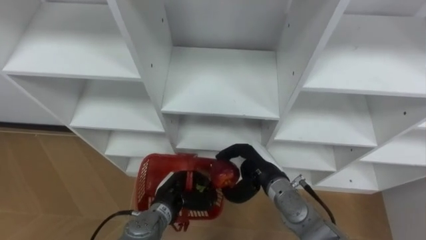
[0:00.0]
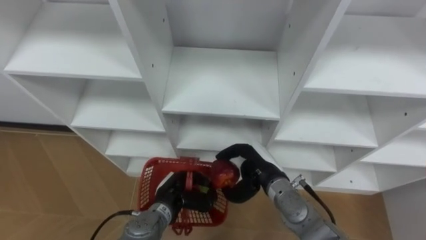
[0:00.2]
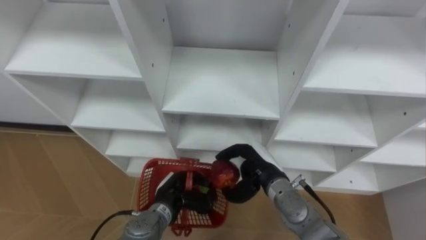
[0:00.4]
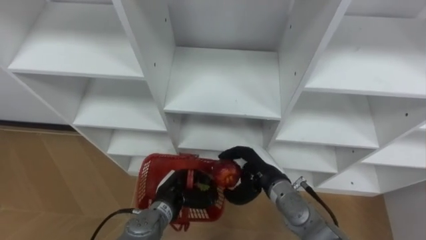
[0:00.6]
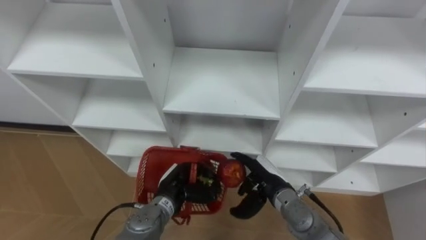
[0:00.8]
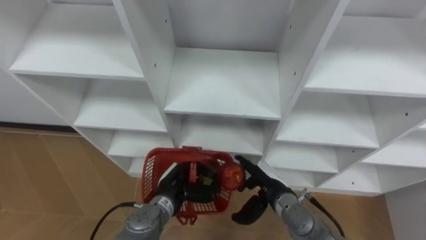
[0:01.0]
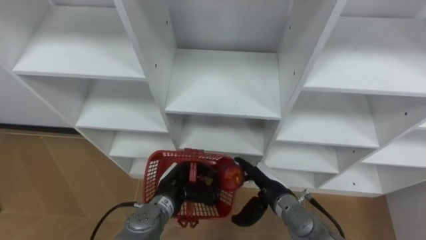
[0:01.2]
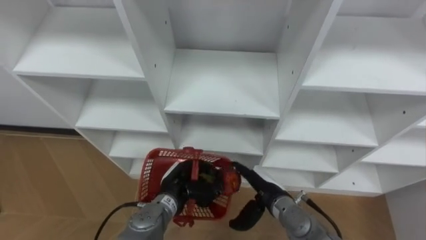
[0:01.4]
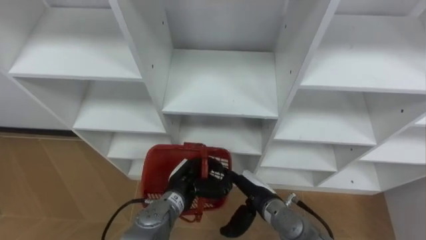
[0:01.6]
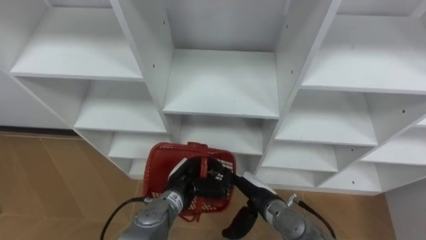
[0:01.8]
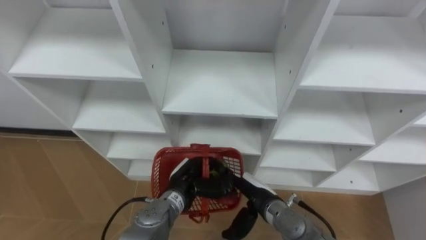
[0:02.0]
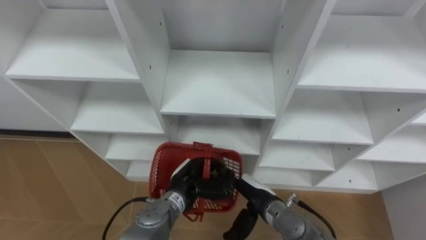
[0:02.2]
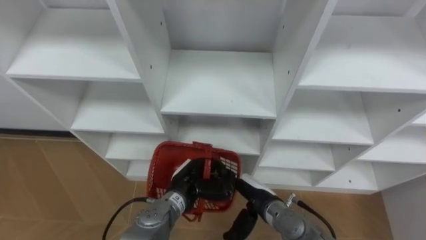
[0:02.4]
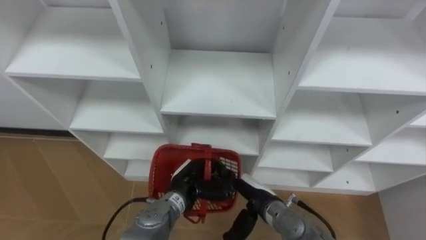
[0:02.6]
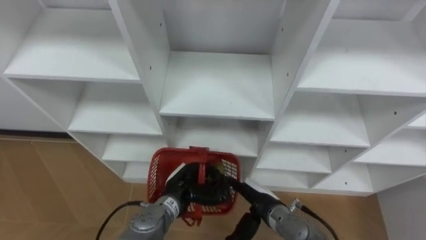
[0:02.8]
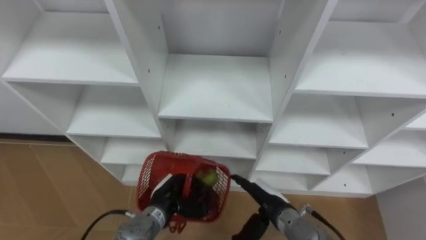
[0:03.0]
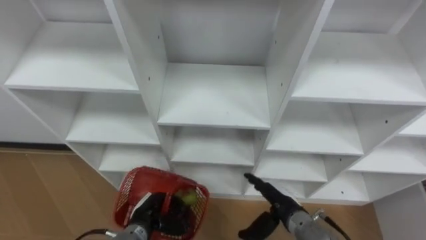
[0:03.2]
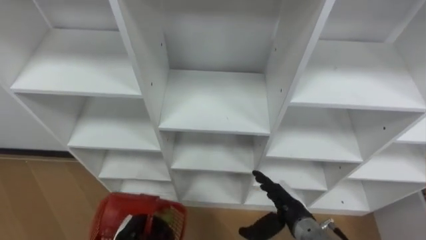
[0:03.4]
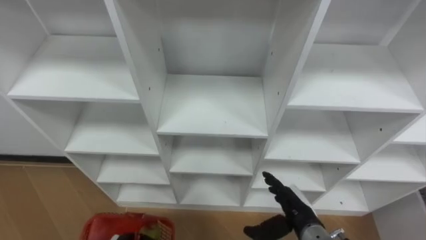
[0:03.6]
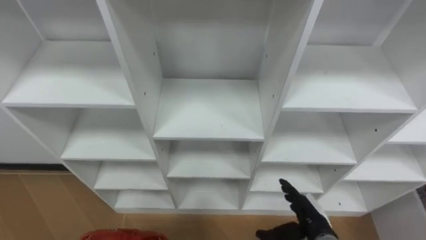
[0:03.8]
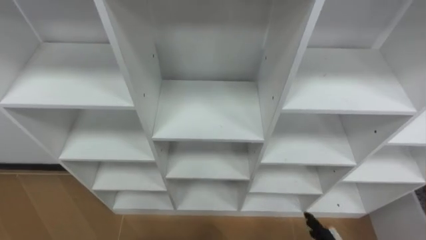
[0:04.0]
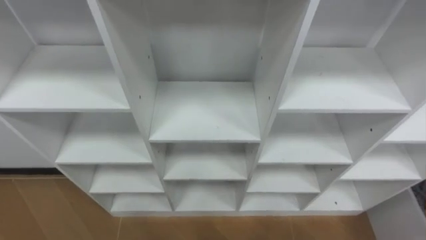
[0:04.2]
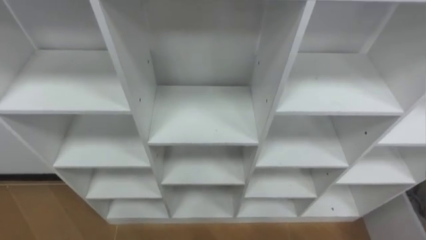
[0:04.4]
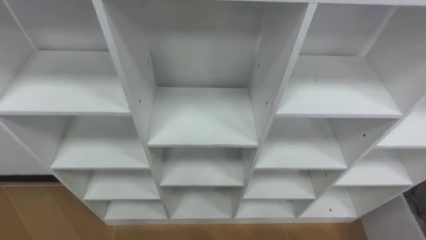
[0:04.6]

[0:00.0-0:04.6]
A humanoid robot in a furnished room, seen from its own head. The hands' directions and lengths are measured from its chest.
Task of the whole recording: Hold the basket and collect the fruits from 3 different cells of the closet into it.
0:00.0 to 0:01.6: The right hand moves about 5 cm, and opens up.

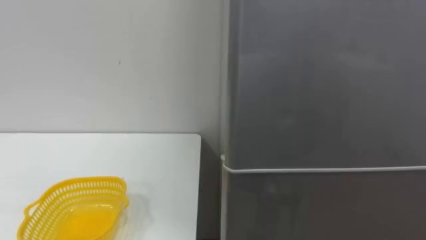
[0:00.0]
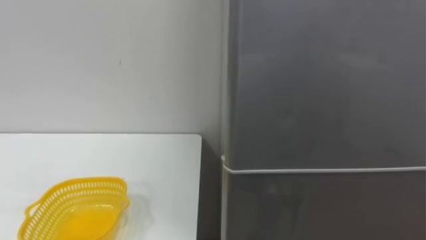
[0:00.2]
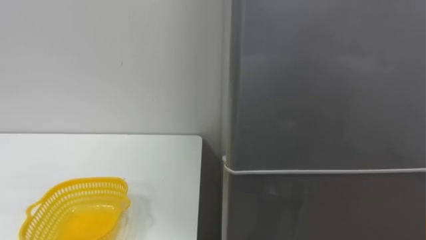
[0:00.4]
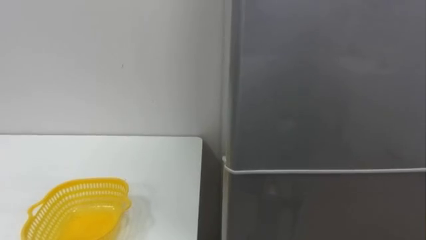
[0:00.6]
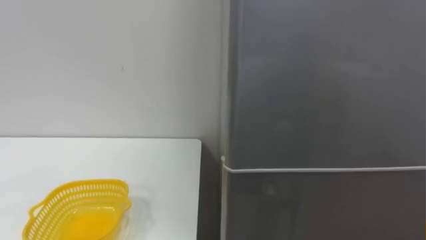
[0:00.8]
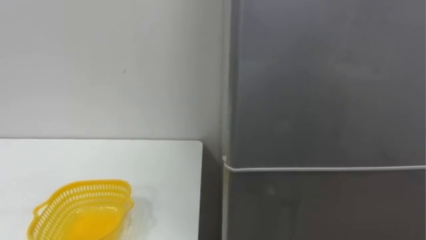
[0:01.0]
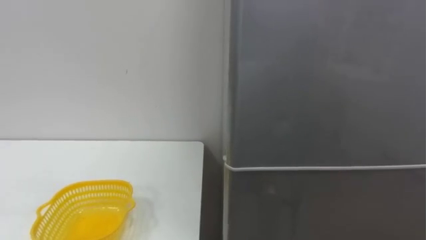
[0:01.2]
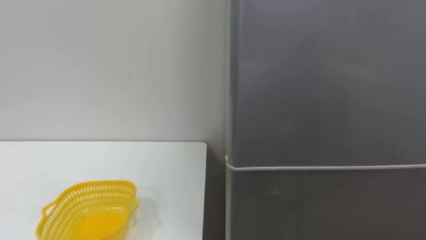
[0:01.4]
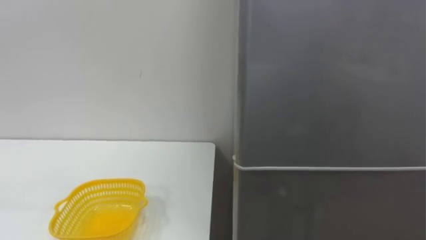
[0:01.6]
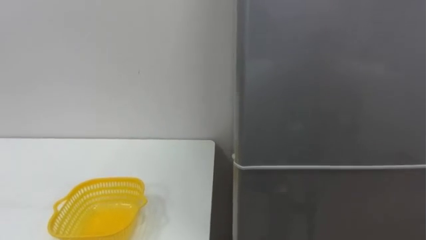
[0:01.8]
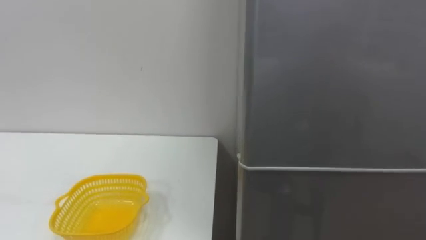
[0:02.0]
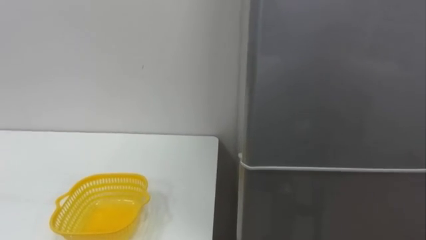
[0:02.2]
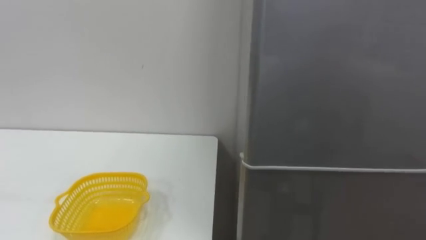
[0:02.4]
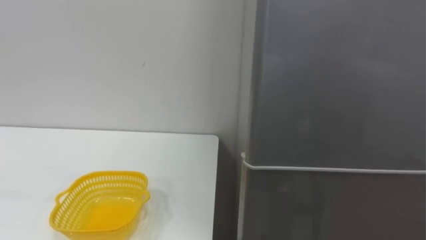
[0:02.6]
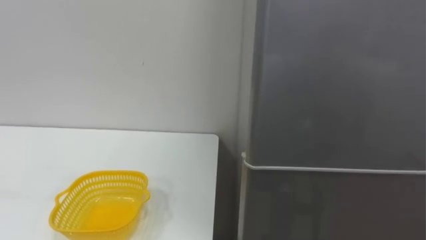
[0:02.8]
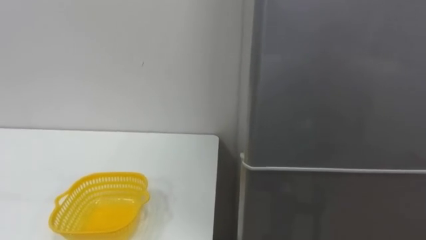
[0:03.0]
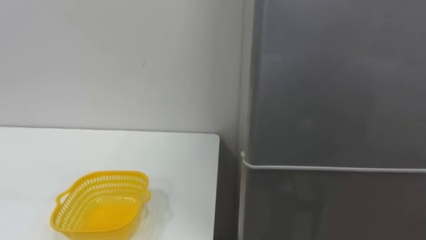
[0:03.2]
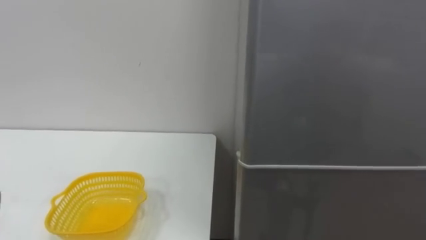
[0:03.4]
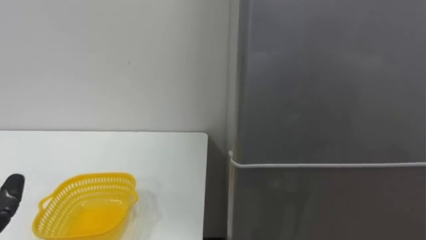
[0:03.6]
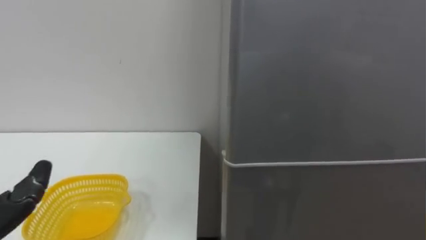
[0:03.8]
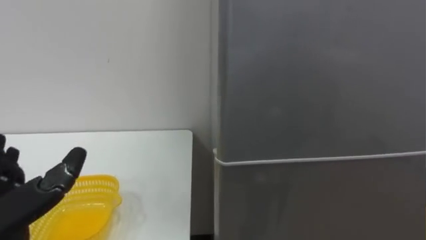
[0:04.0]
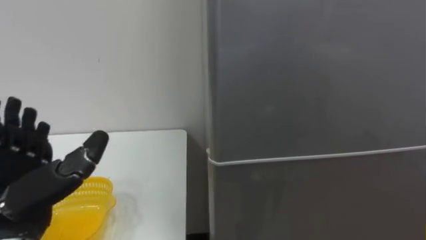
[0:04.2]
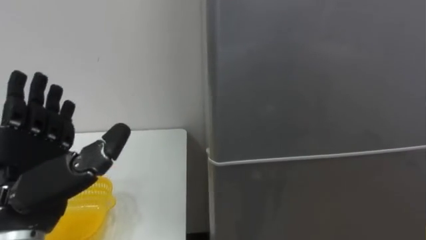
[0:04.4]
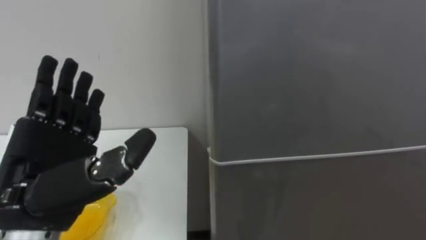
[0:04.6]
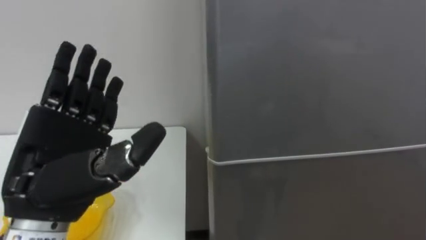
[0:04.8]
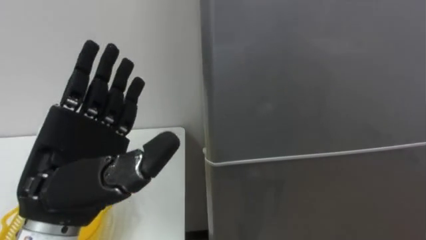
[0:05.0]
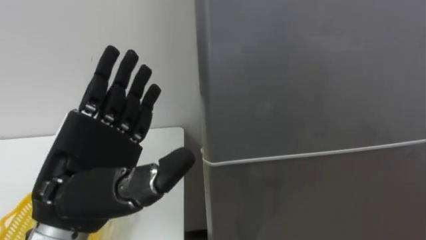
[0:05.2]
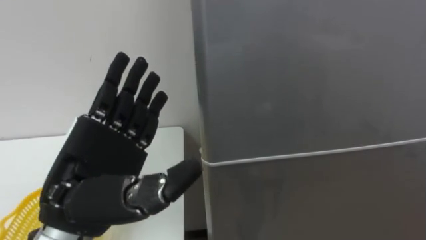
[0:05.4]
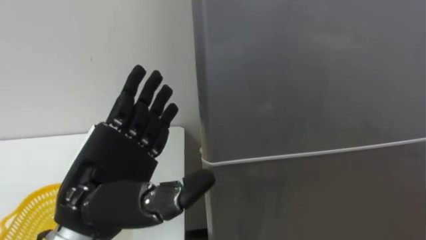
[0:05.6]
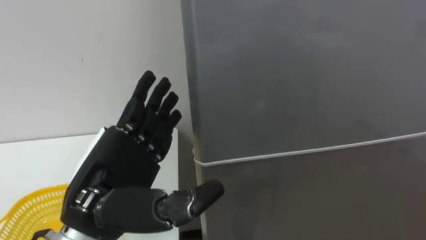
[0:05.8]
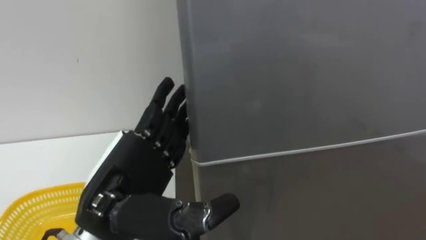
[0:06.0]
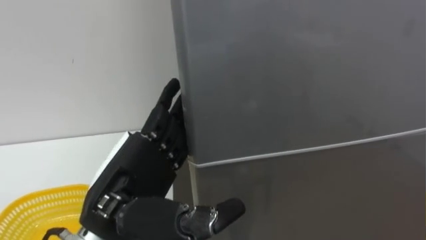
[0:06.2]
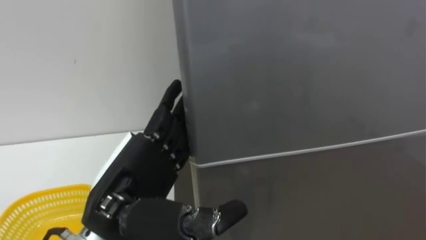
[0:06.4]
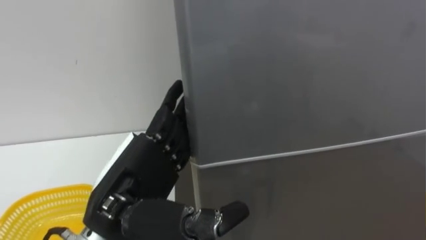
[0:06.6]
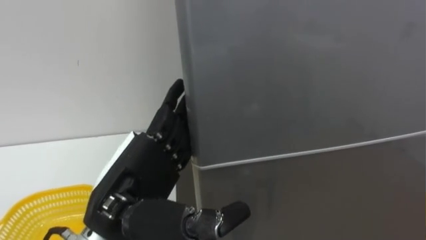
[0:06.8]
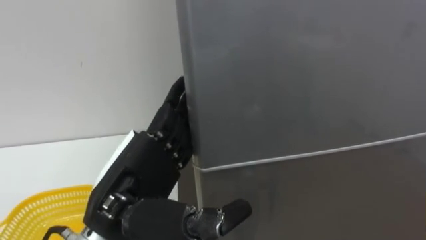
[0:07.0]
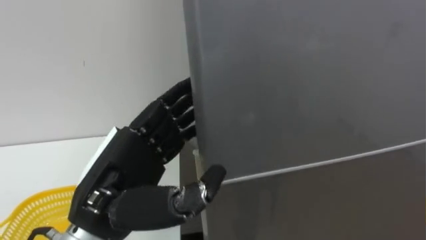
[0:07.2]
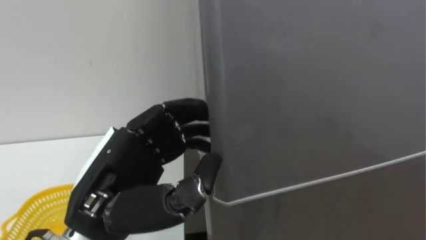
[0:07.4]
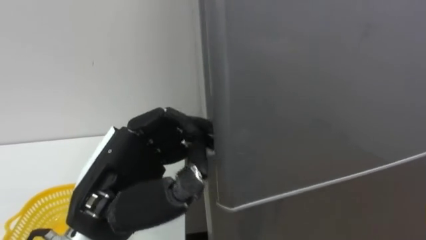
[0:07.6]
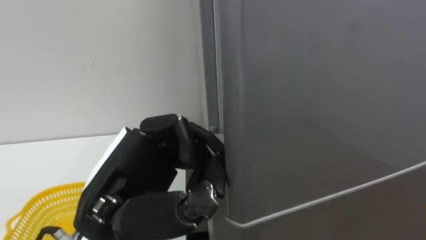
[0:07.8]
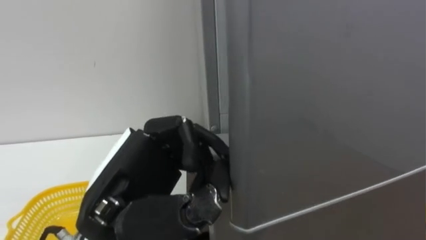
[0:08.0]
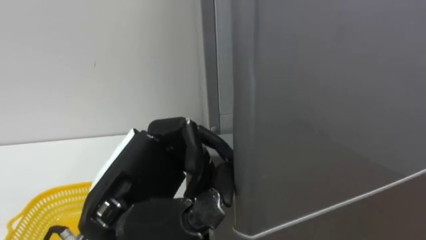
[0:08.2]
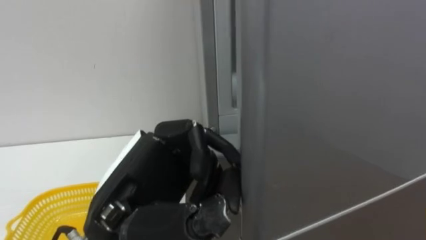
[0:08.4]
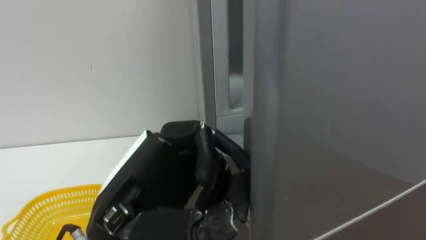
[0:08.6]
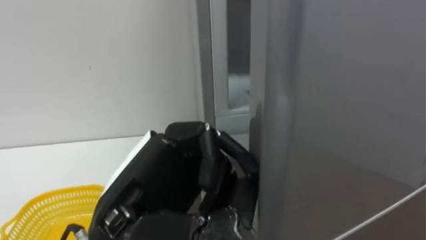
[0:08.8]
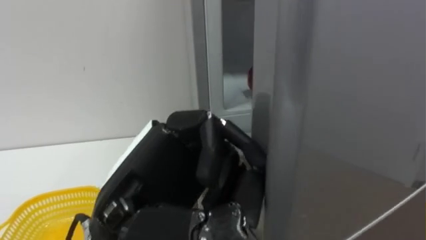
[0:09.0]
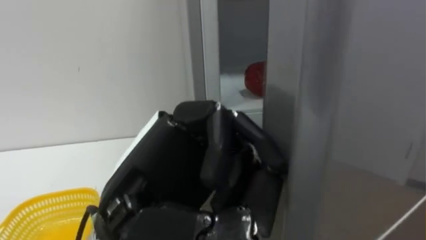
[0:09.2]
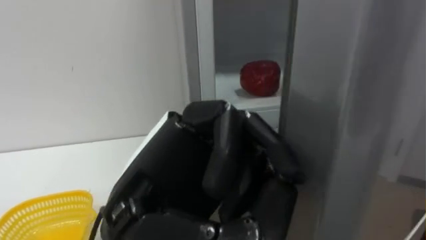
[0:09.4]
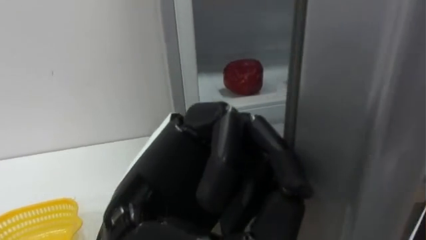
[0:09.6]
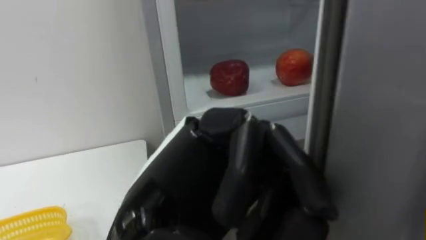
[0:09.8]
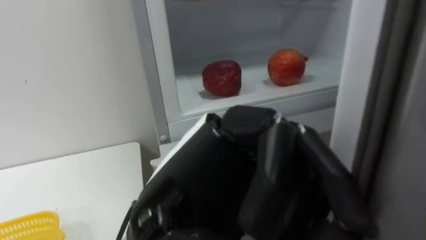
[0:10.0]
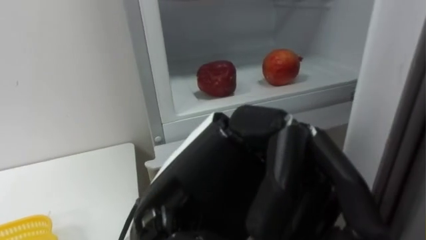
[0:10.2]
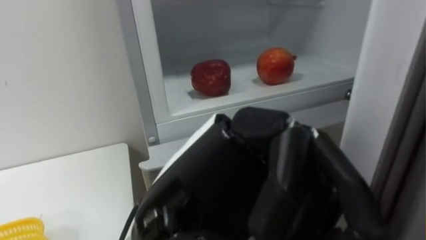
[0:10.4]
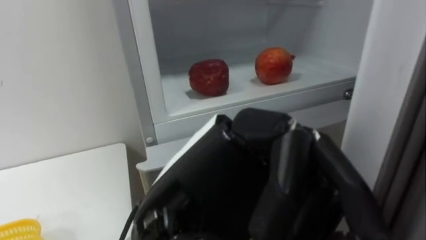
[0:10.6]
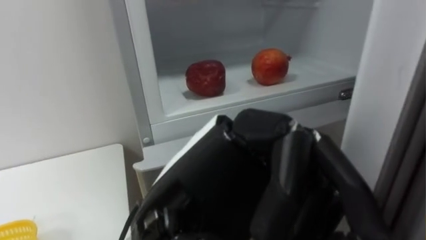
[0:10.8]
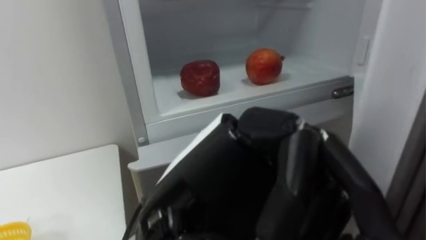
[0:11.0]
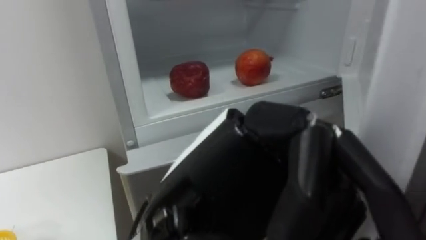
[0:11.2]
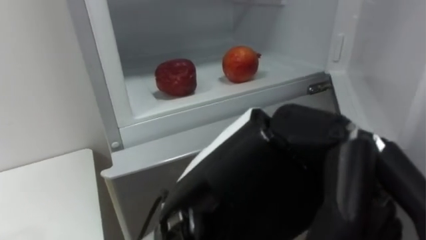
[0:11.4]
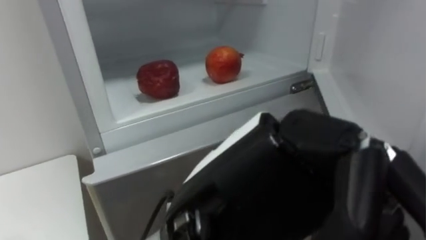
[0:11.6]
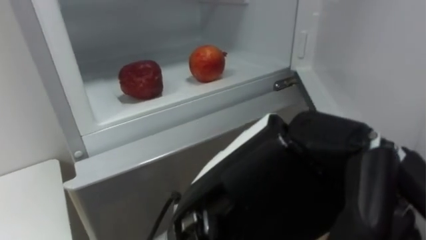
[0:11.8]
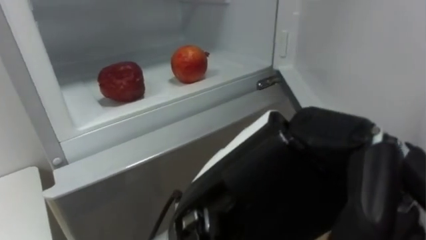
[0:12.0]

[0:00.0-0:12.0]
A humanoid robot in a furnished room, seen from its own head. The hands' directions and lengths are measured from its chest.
Task of the whole recording: Open the refrigerator door, take out the apple and the pomegranate, place them in the fruit basket on the left, and close the refrigerator door.
0:04.4 to 0:06.0: The left hand is displaced to the right by about 10 cm.
0:06.0 to 0:07.6: The left hand closes up.
0:07.6 to 0:09.0: The left hand shifts by some 5 cm.
0:09.0 to 0:10.4: The left hand is displaced to the right by approximately 5 cm.
